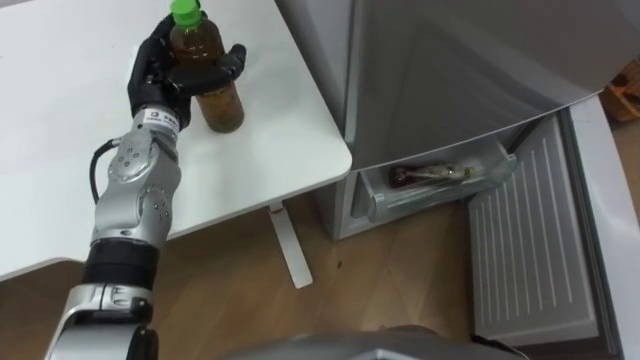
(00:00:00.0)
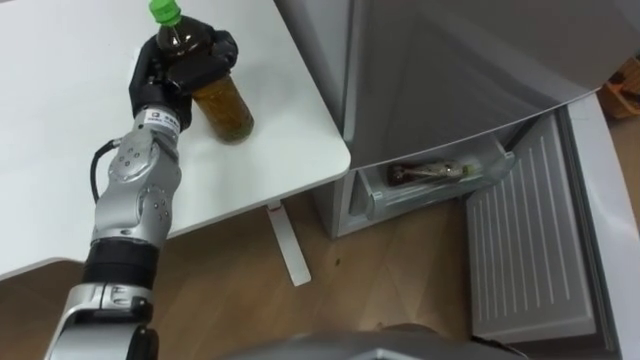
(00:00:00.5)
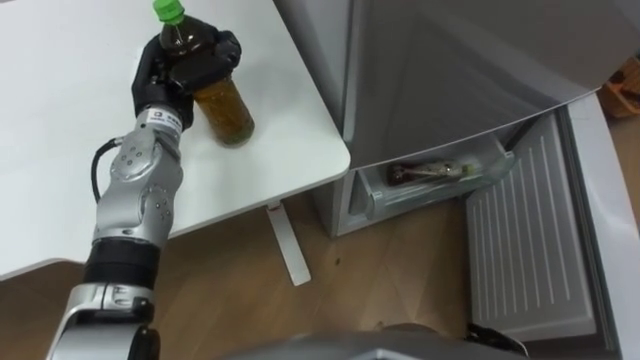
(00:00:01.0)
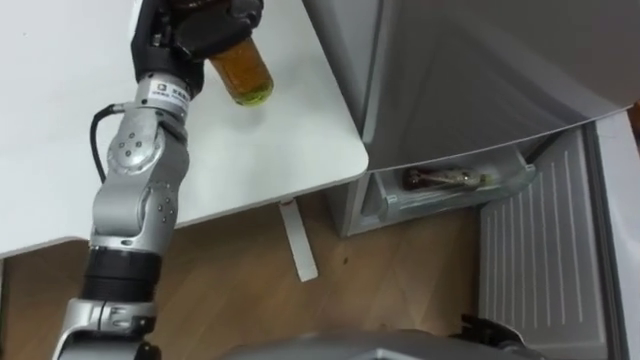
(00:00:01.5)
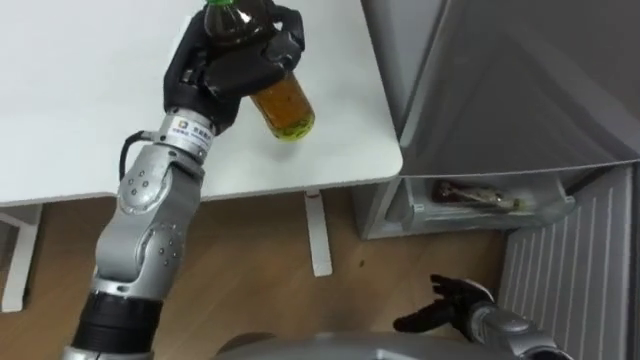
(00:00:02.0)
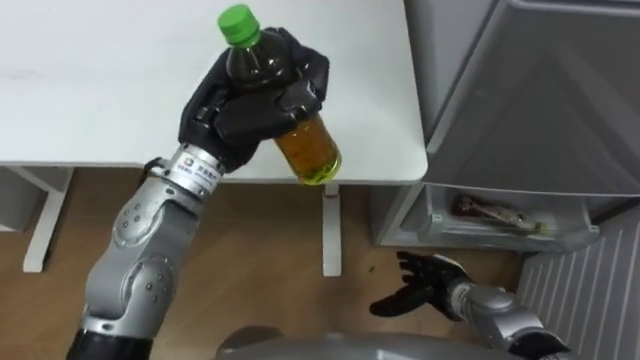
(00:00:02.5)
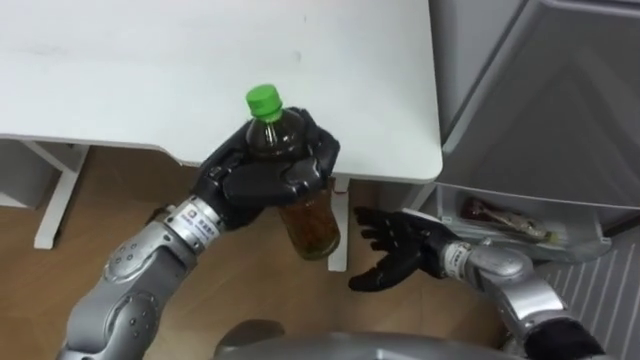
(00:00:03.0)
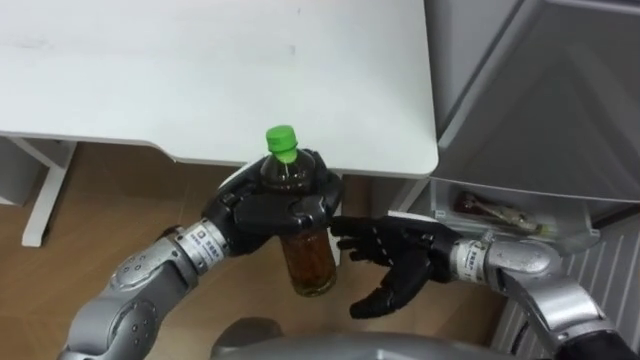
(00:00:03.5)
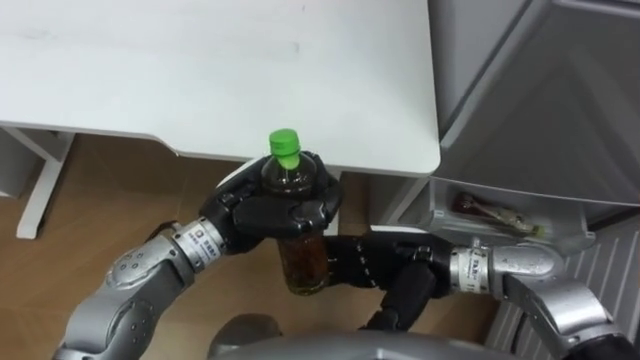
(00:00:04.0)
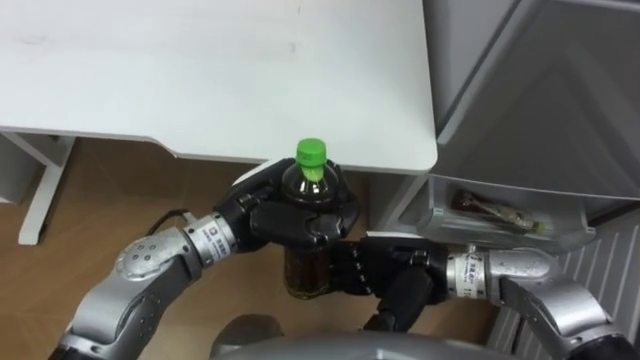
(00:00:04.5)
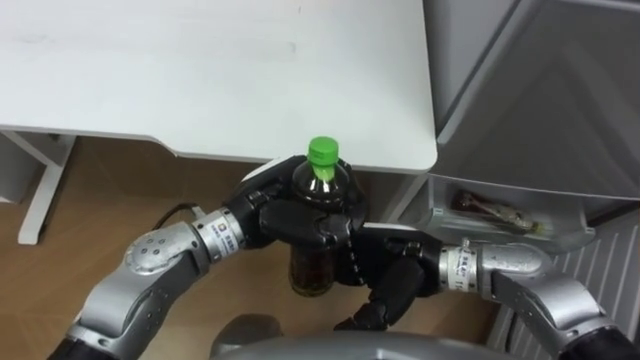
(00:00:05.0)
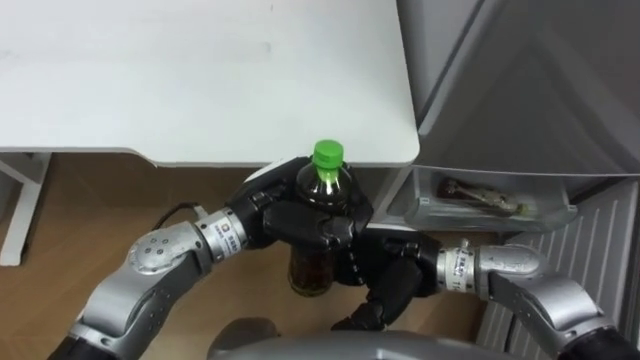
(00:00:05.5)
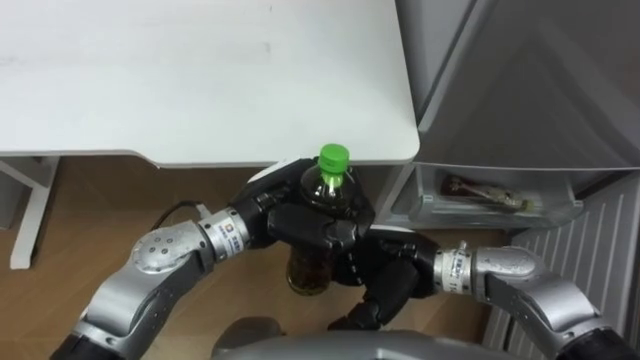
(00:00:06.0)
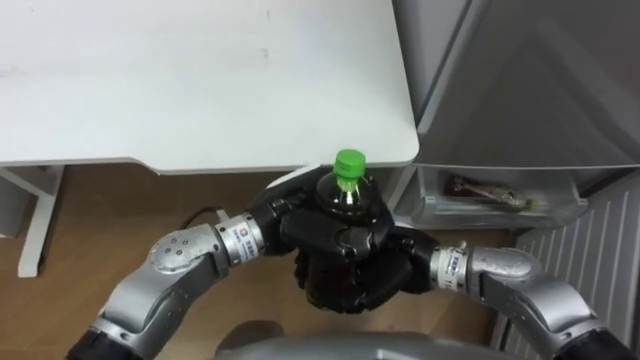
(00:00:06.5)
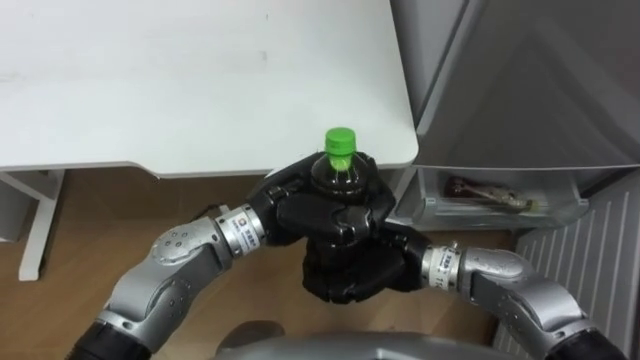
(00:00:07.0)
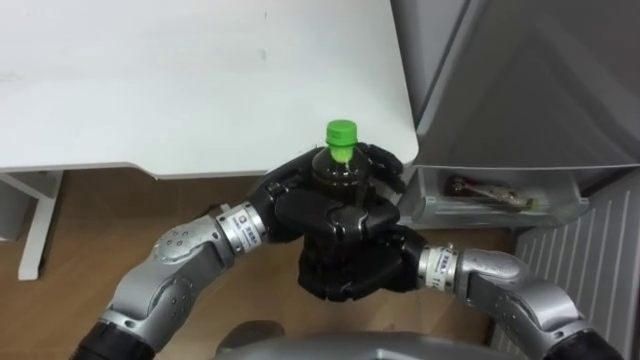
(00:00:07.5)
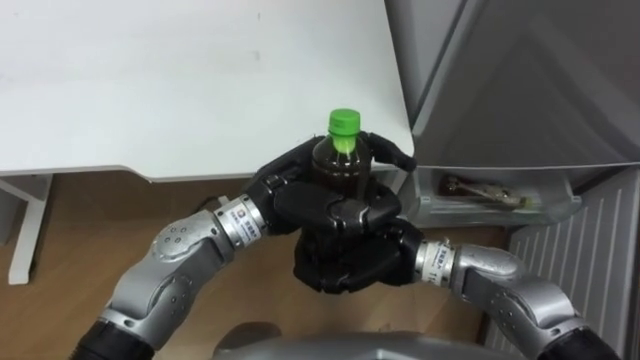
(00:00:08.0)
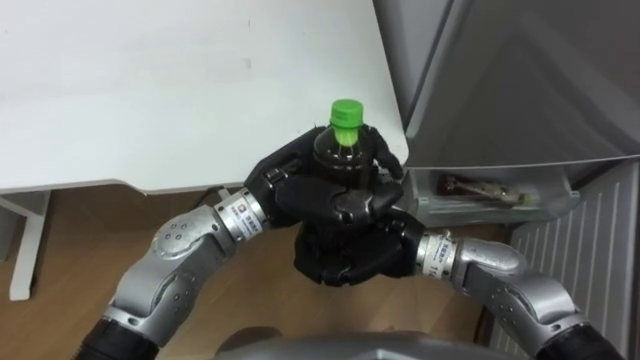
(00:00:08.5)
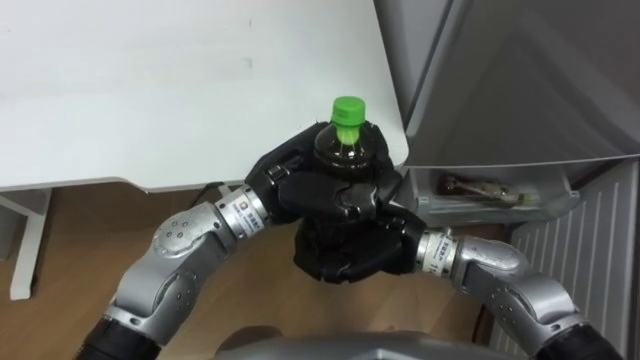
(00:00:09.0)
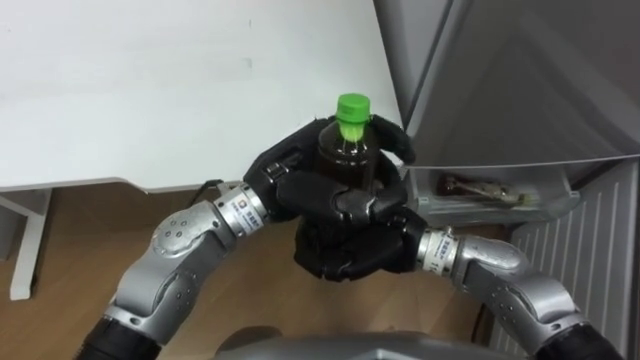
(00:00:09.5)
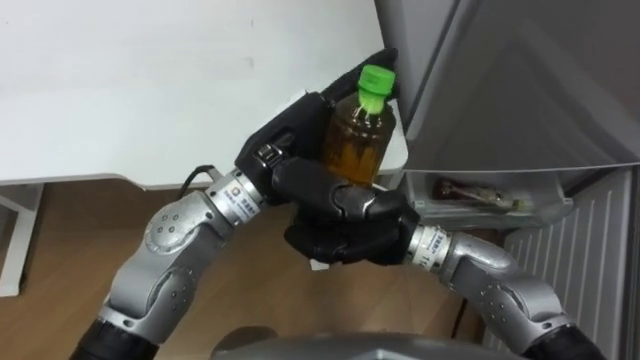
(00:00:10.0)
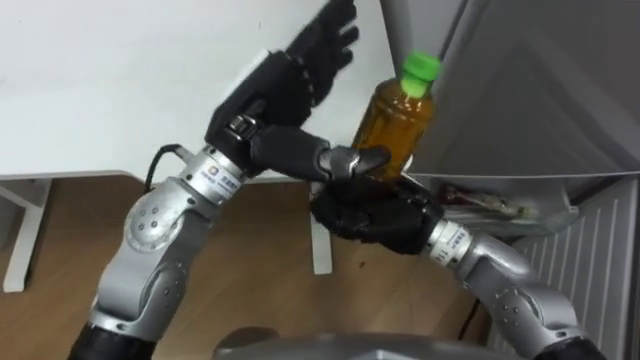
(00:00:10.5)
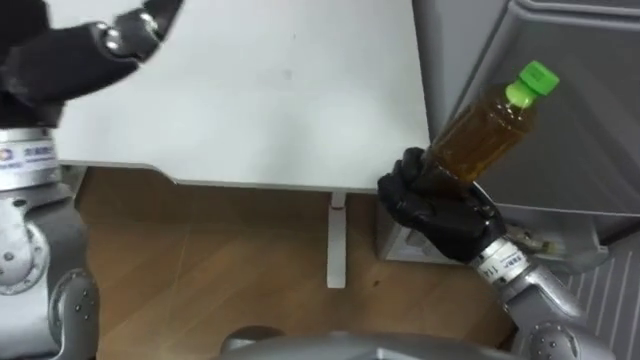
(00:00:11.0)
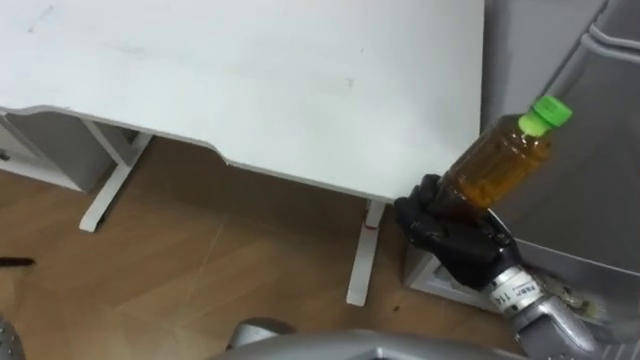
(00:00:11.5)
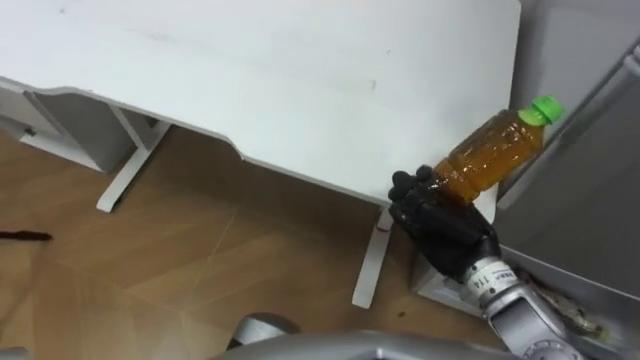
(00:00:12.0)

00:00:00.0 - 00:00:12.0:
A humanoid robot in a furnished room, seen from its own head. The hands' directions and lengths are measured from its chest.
Task of the whole recording: Place the drink on the table on the bottom shelf of the refrigerator, then close the drawer and the refrigerator door.
00:00:00.0 - 00:00:02.0: The left hand heads upward and to the right, covering some 10 cm, and closes.
00:00:02.0 - 00:00:04.0: The left hand is displaced backward and downward by approximately 15 cm; the right hand moves upward and to the left, roughly 20 cm.
00:00:06.0 - 00:00:08.0: The right hand closes.
00:00:08.0 - 00:00:10.0: The left hand ends up roughly 5 cm from where it was, and opens its fingers.
00:00:10.0 - 00:00:12.0: The right hand goes approximately 10 cm to the right.

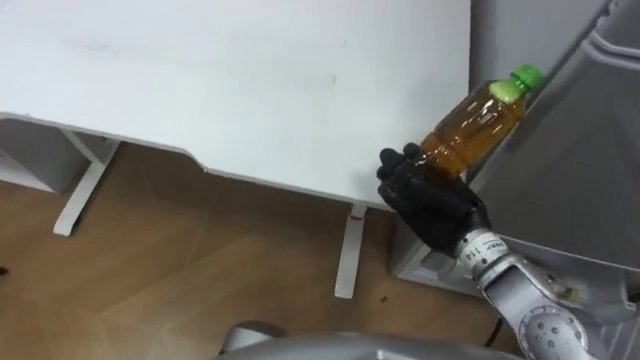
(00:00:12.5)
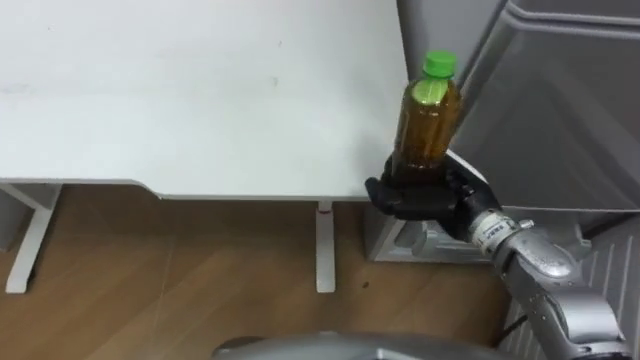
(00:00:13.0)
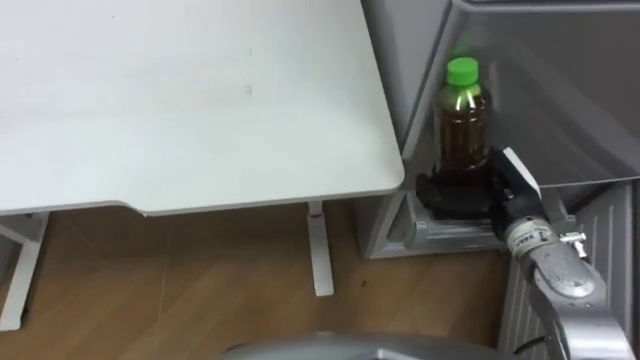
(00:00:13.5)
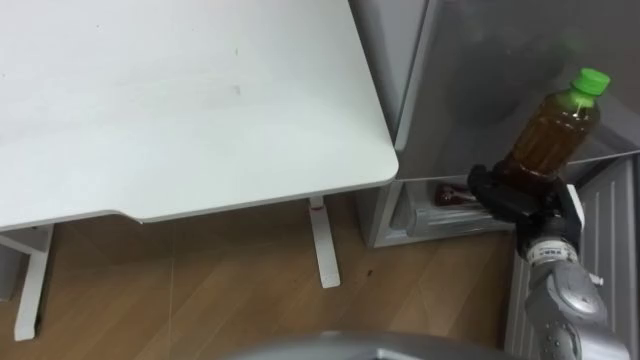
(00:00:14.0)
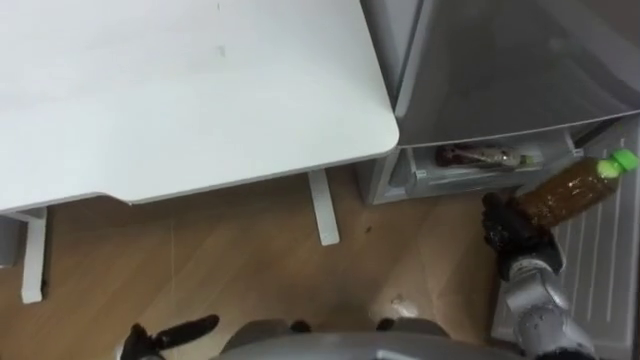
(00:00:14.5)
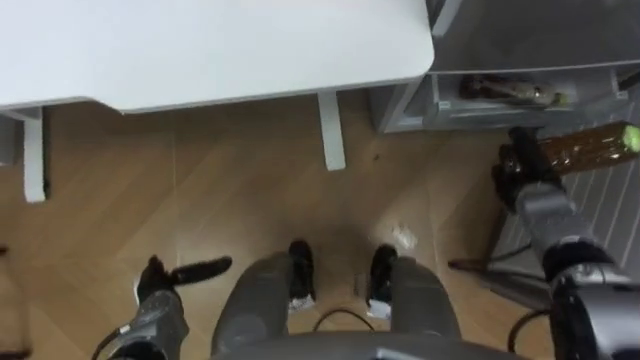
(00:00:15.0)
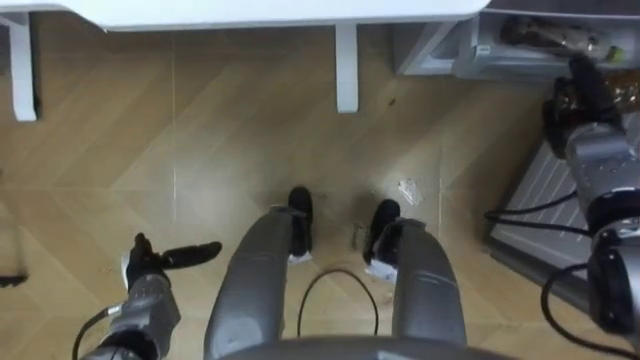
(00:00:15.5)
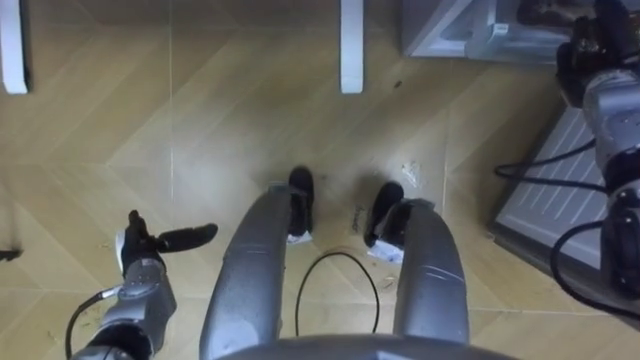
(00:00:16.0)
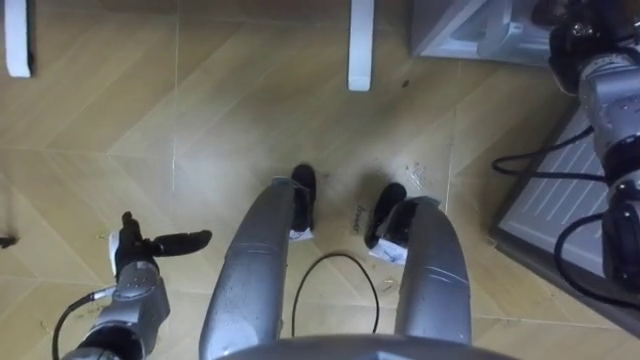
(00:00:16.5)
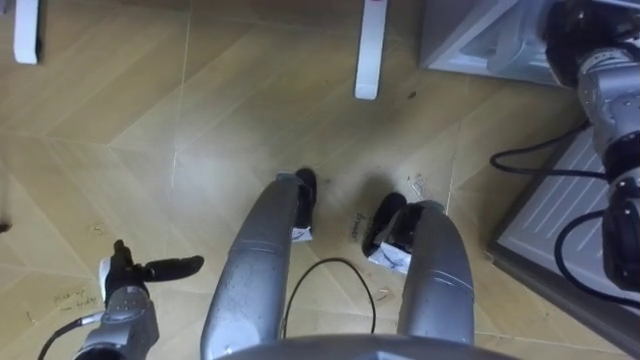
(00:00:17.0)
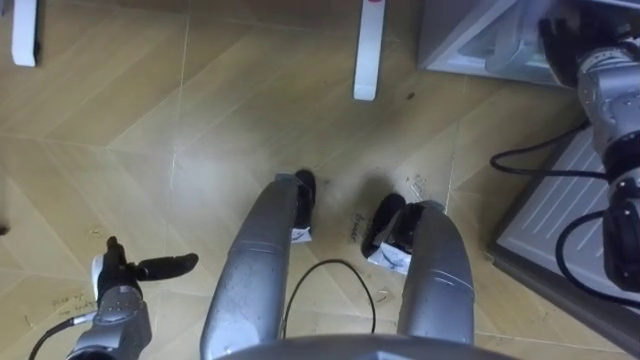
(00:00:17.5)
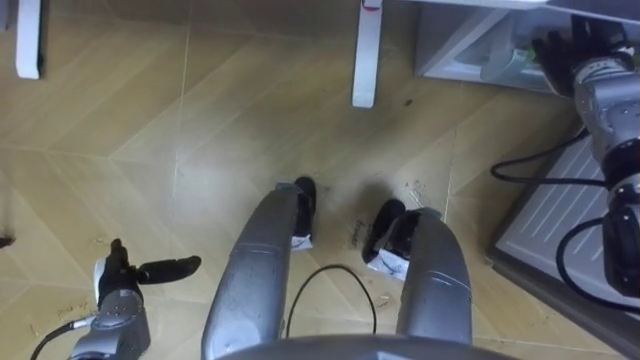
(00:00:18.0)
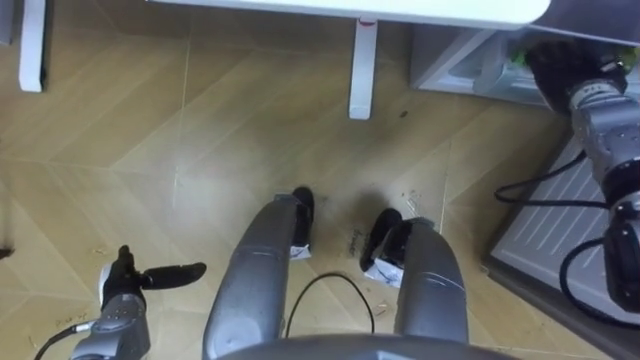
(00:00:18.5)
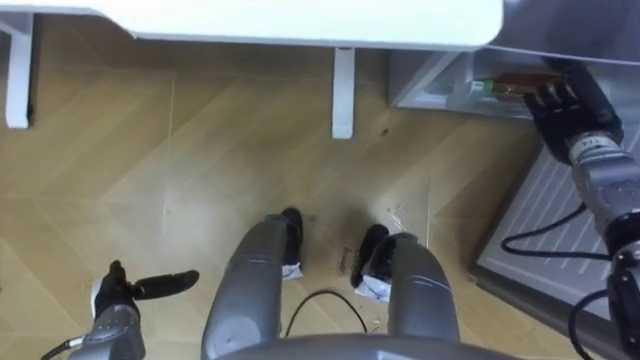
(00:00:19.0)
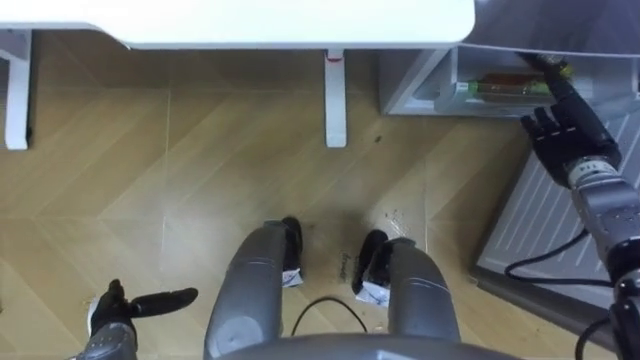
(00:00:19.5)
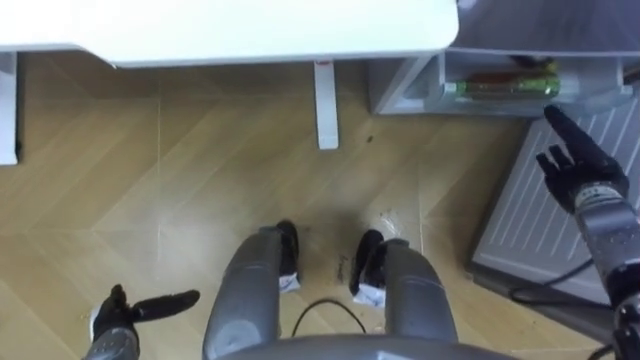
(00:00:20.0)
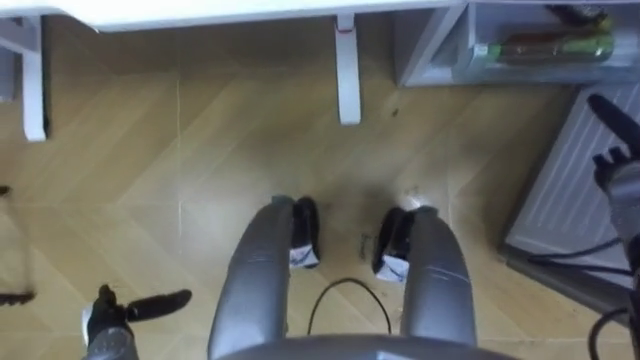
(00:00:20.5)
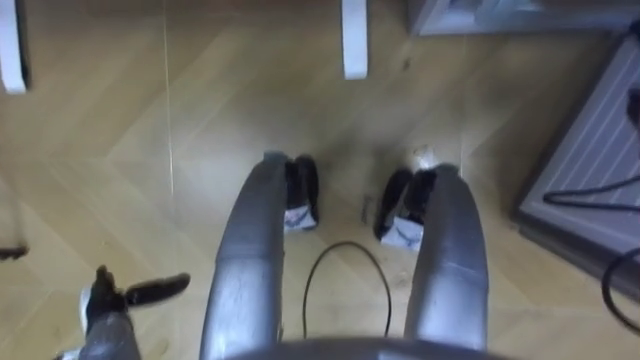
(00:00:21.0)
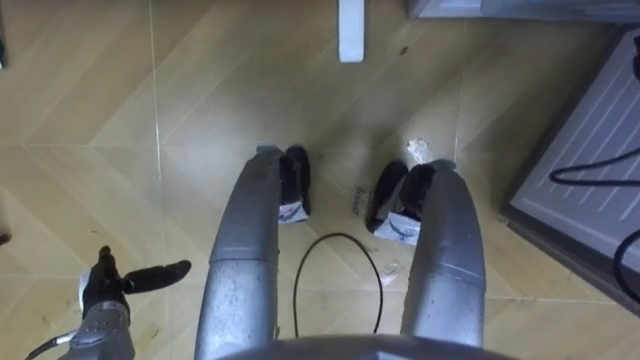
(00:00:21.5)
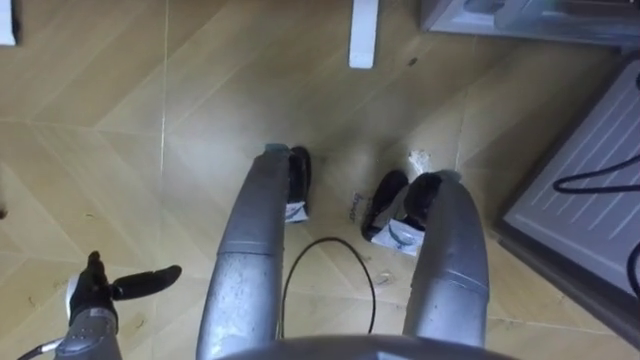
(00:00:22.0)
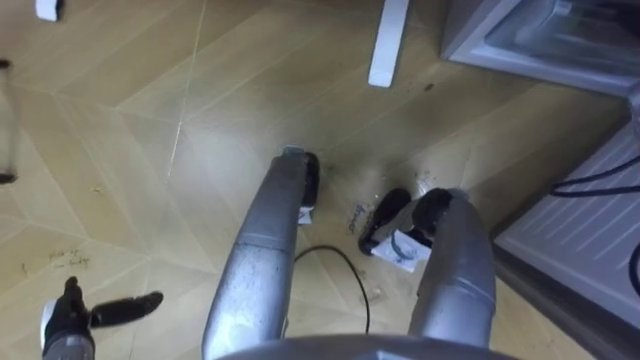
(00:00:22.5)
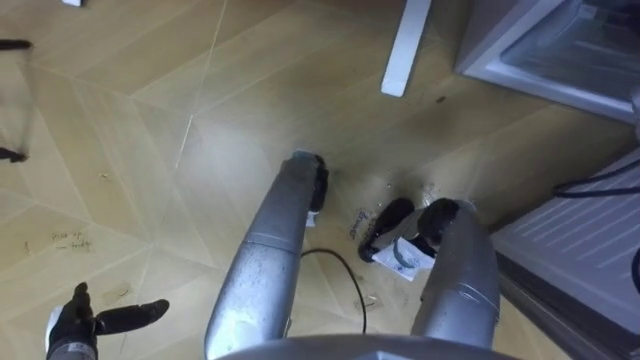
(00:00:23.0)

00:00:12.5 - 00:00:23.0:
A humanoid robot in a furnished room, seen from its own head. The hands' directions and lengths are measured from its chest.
Task of the whole recording: Place the drink on the table on the bottom shelf of the refrigerator, then close the drawer and the refrigerator door.
00:00:12.5 - 00:00:14.5: The right hand is displaced to the right and downward by approximately 15 cm.
00:00:14.5 - 00:00:16.5: The right hand shifts approximately 25 cm forward and upward.
00:00:16.5 - 00:00:19.0: The left hand shifts some 5 cm backward, while the right hand heads downward and backward, covering some 10 cm, and opens.
